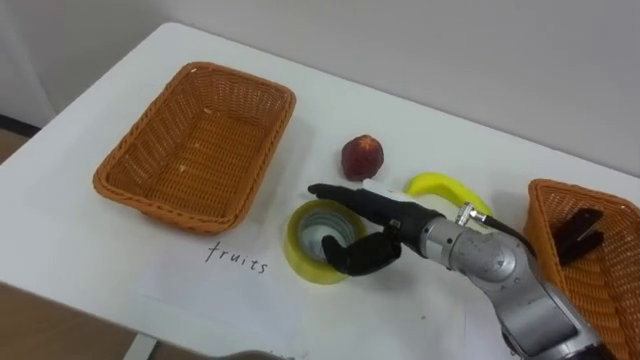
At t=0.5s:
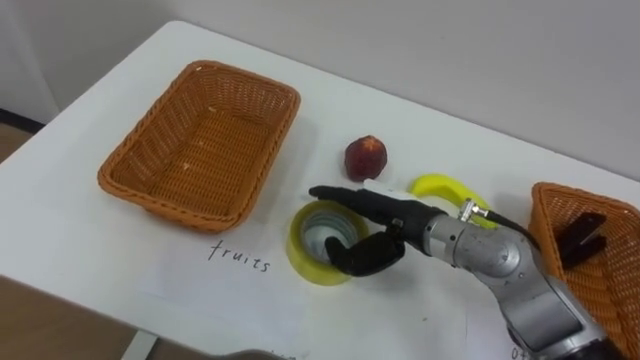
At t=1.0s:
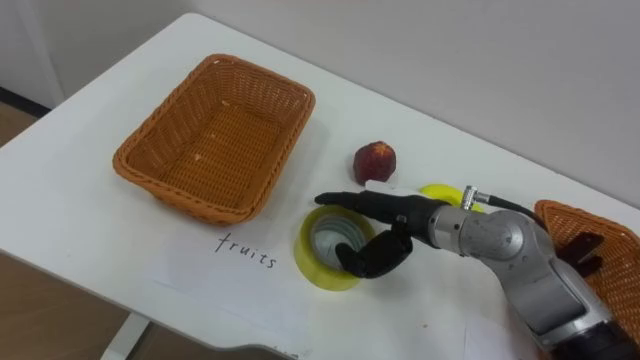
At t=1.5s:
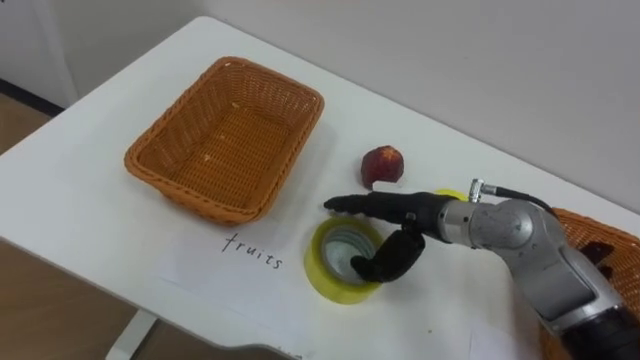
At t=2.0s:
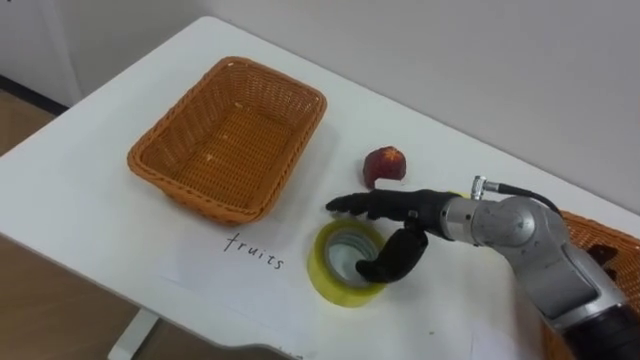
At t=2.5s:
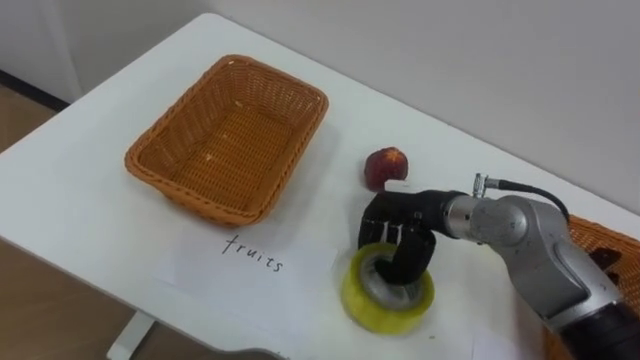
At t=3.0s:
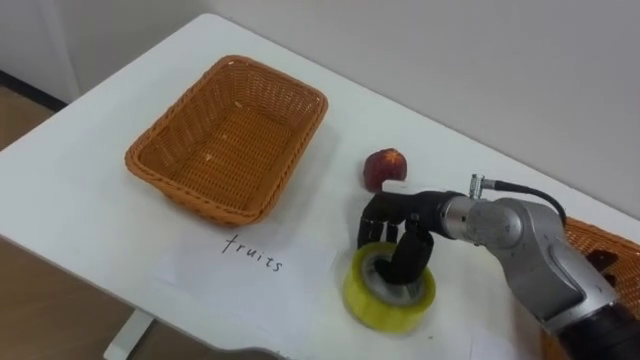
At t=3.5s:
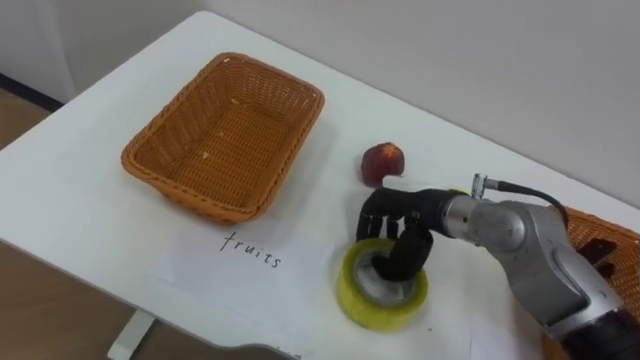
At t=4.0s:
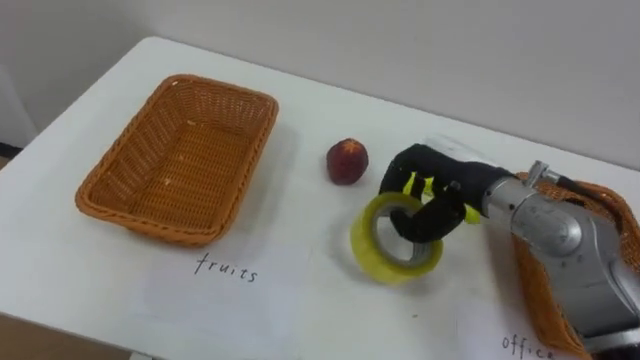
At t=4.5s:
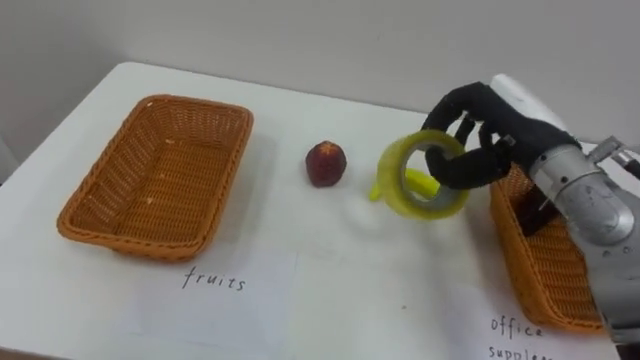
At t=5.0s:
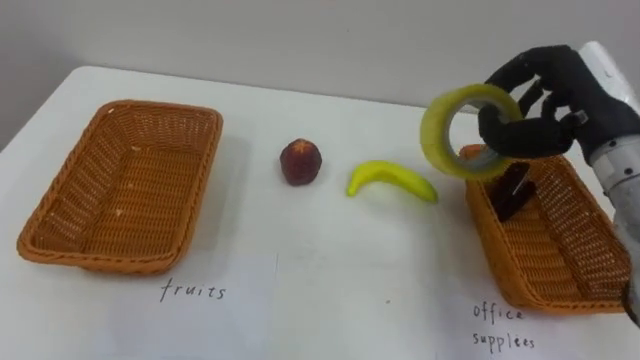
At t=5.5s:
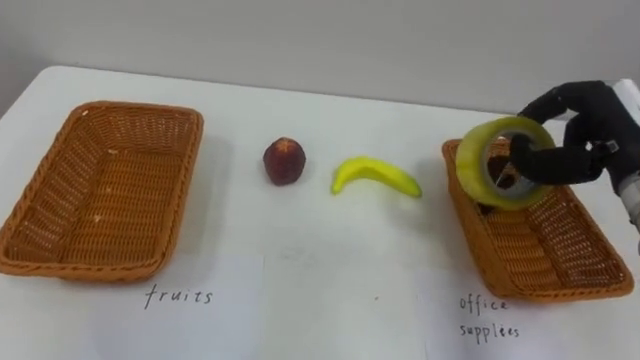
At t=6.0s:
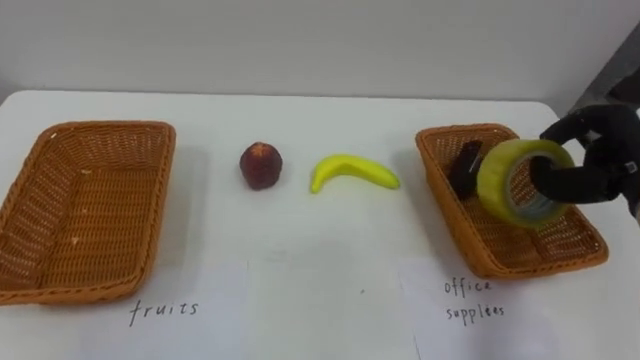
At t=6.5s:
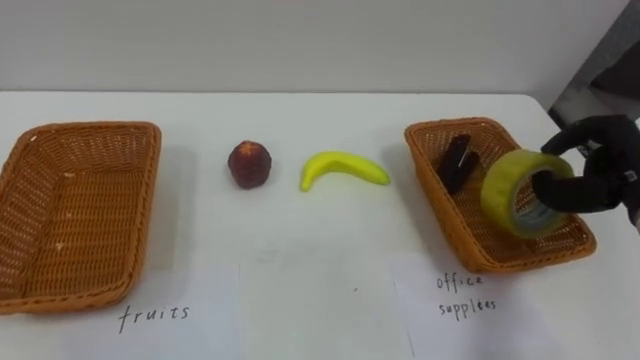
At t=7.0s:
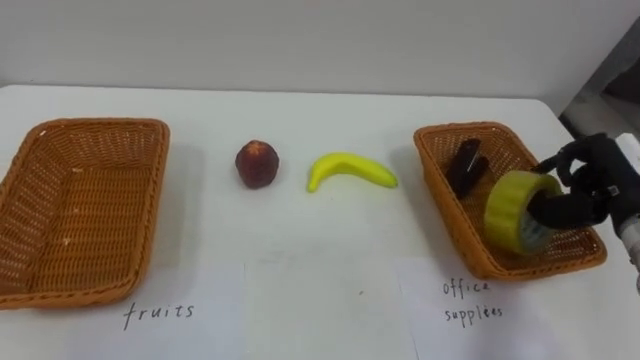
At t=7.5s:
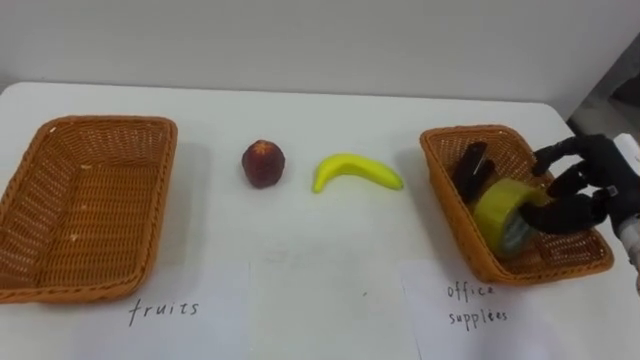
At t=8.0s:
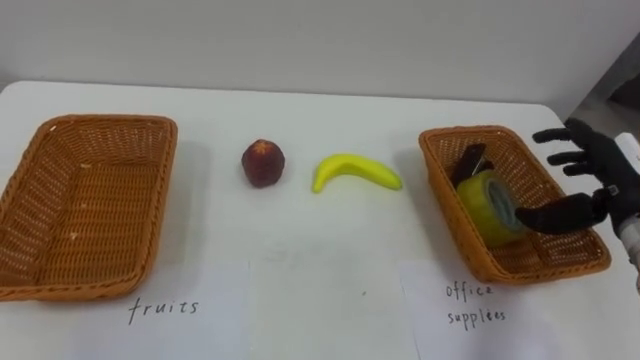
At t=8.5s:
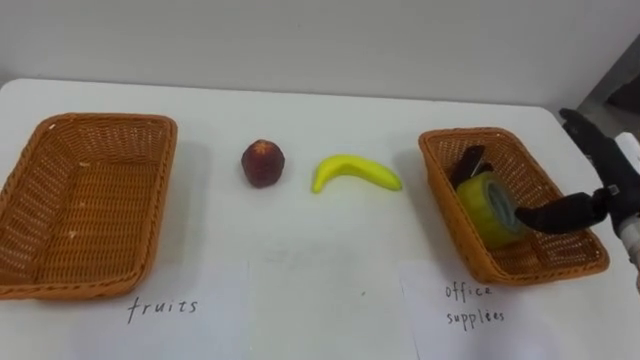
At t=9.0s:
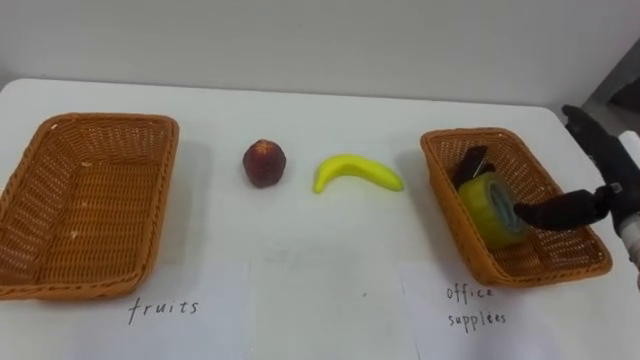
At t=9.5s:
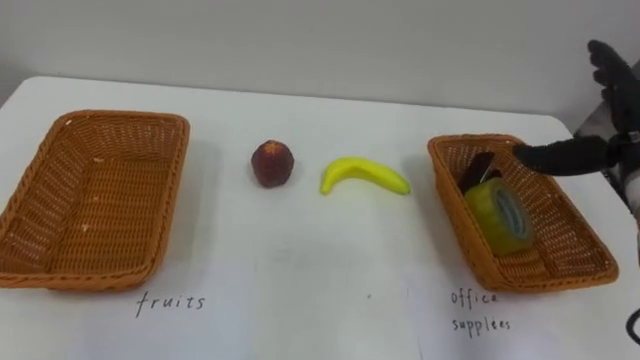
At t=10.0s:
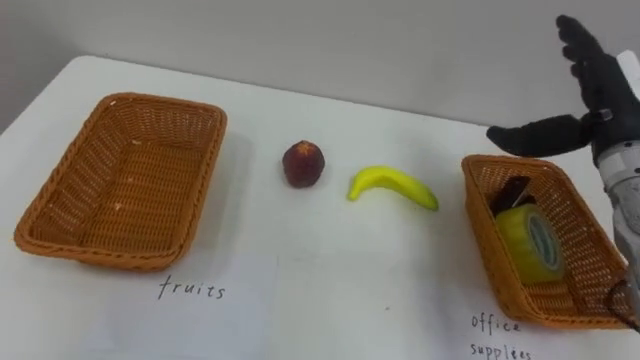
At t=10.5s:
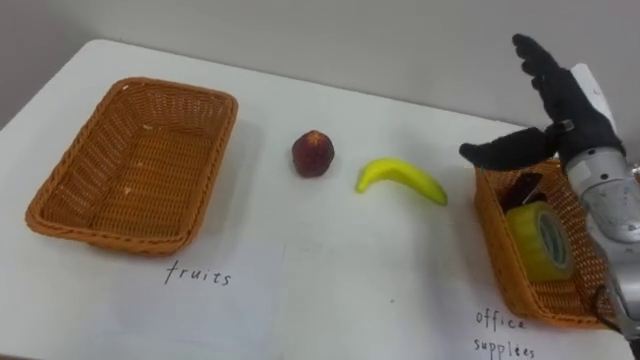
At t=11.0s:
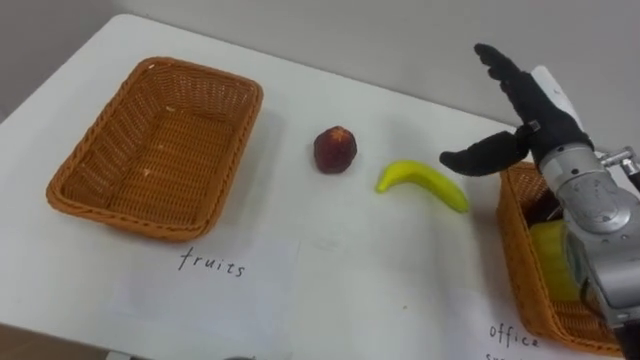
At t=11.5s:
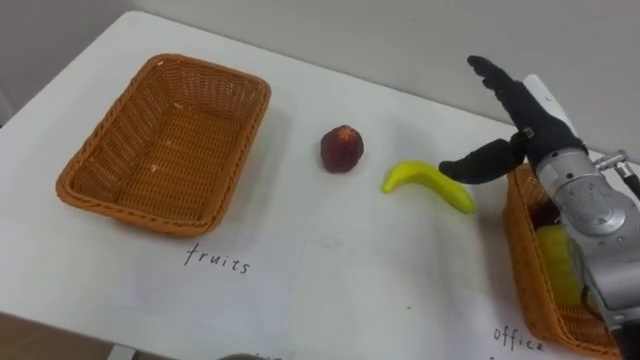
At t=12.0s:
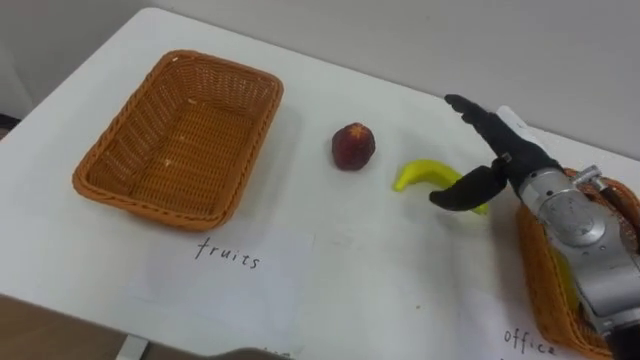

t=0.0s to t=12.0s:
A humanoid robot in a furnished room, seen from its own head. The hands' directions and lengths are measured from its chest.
Task of the whole recording: Separate the items on the table and place them into the two baskets.
t=2.0s to t=4.0s: The right hand shifts about 5 cm to the right, and closes.
t=4.0s to t=6.0s: The right hand is displaced to the right by about 20 cm.
t=6.0s to t=8.0s: The right hand opens.
t=8.0s to t=10.0s: The right hand heads upward, covering roughly 5 cm.
t=10.0s to t=12.0s: The right hand goes some 10 cm downward and to the left.

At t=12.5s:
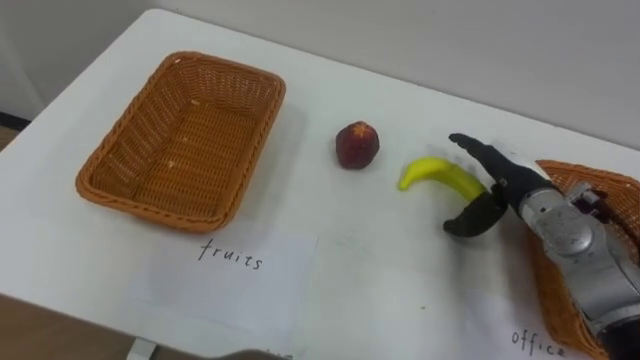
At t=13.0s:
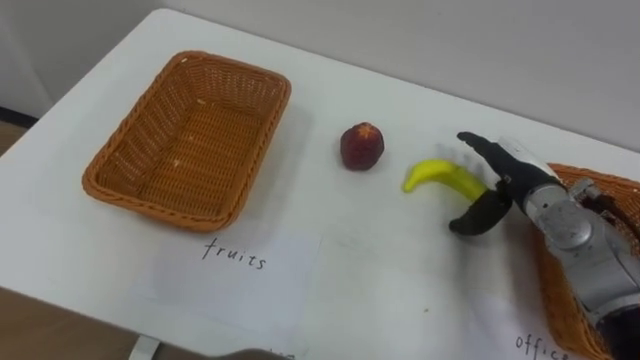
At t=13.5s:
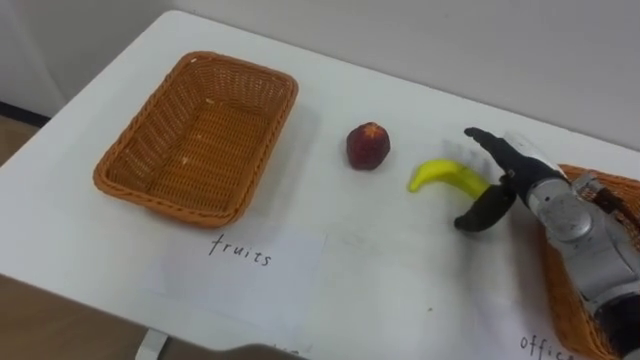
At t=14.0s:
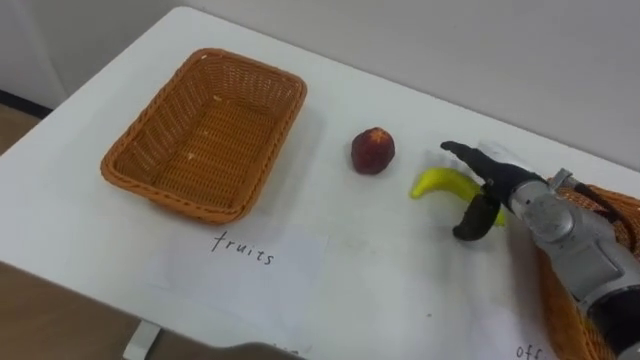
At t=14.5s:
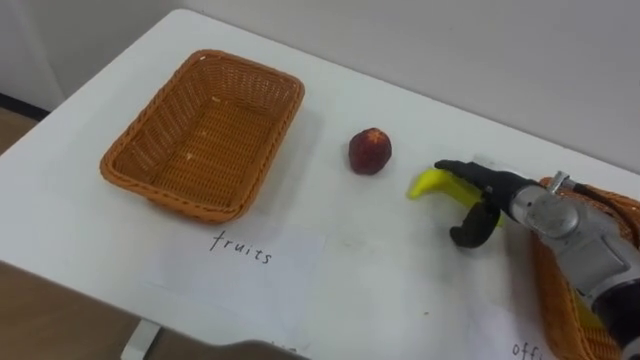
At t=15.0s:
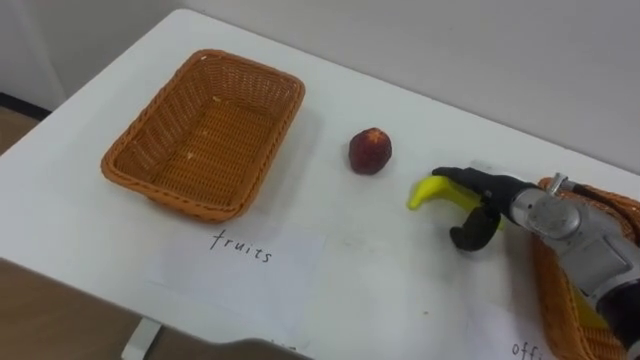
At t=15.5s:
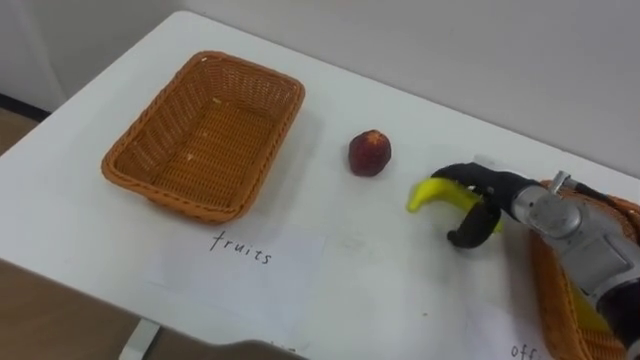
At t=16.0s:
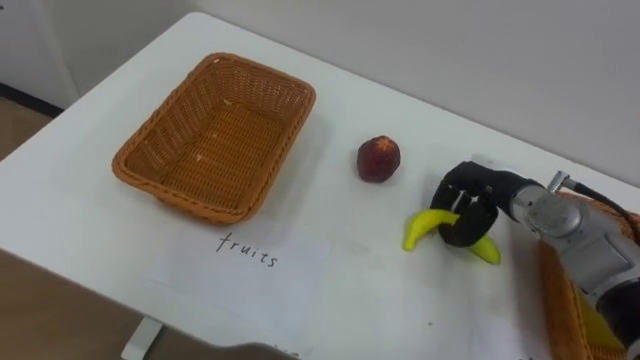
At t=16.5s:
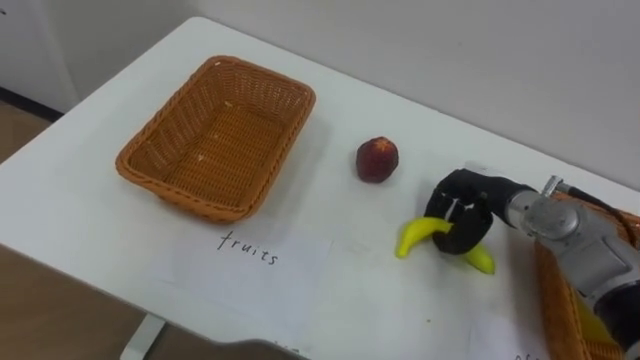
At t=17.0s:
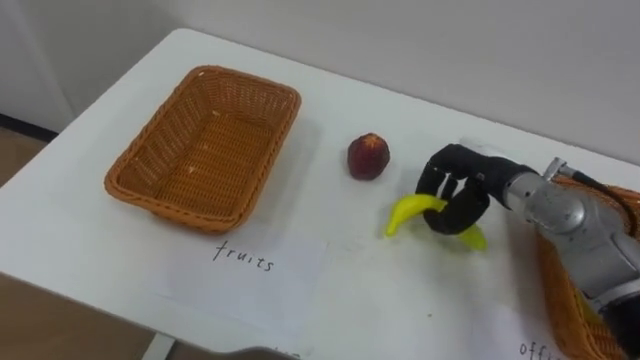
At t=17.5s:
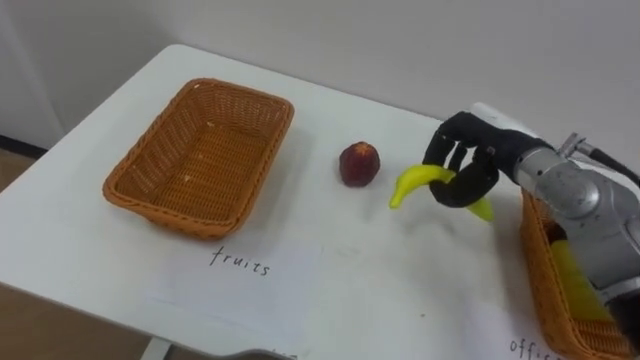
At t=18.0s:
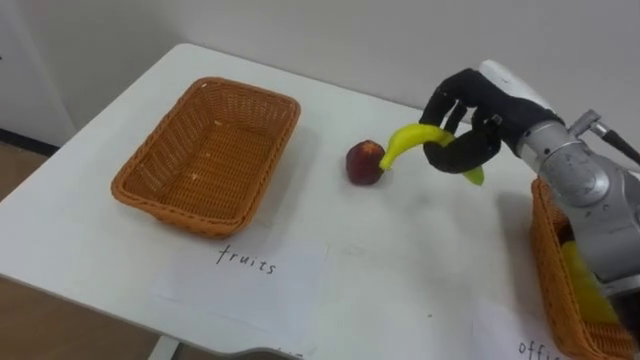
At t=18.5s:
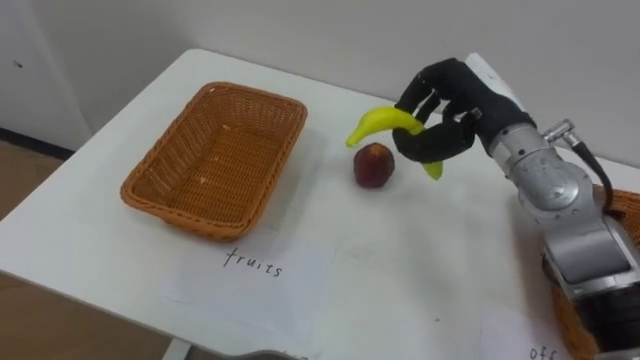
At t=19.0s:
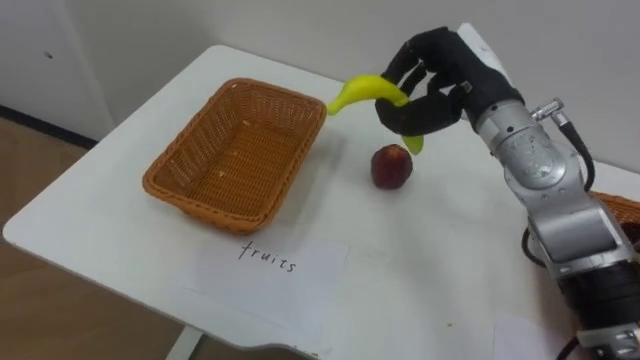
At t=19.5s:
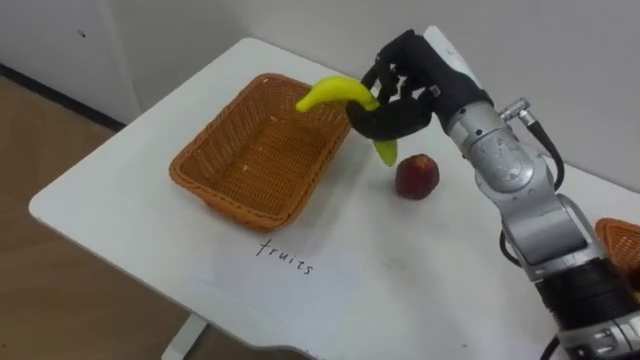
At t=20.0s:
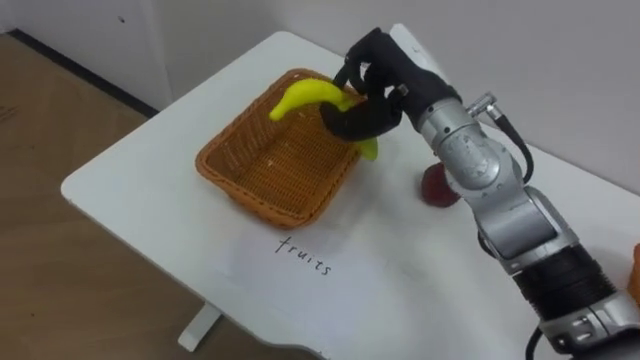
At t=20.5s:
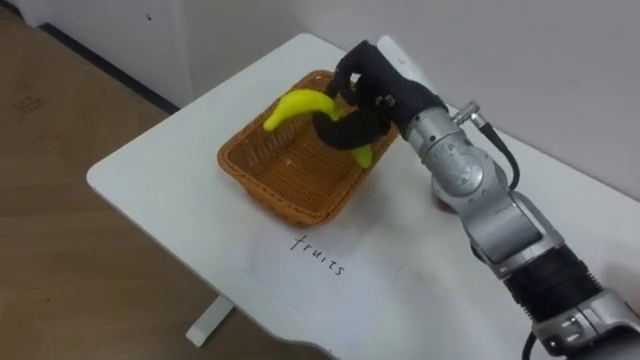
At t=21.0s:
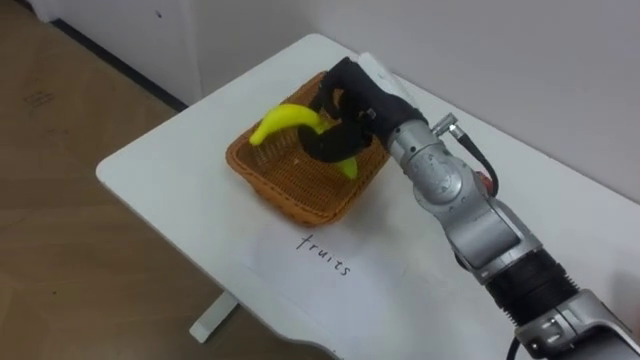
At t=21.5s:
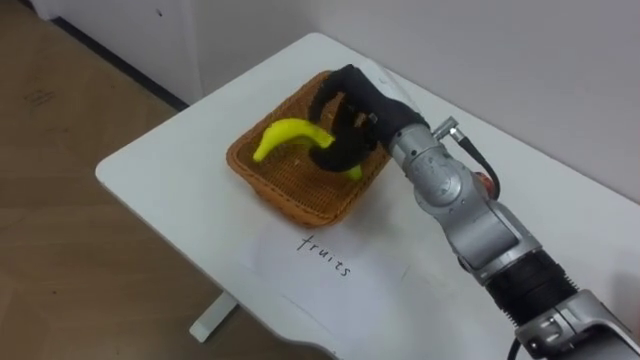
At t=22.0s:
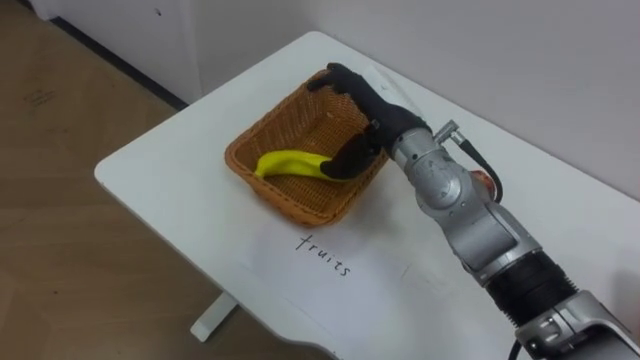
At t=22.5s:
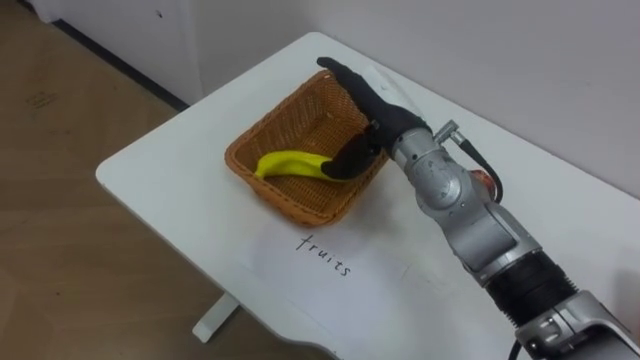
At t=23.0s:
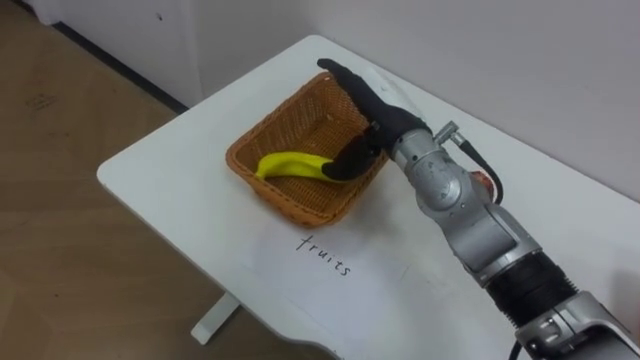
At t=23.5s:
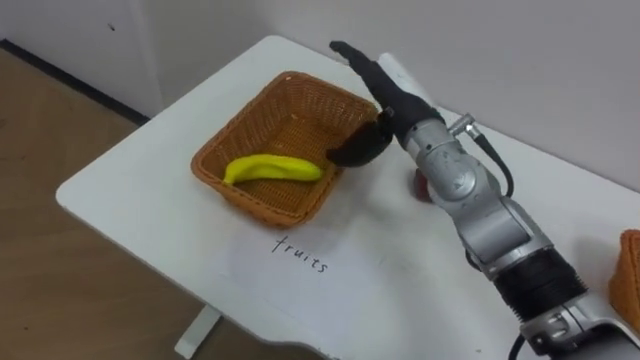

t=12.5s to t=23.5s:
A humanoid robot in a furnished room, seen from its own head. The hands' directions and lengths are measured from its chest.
Task of the whole recording: Separate the items on the table and place them into the two baskets.
t=14.5s to t=16.0s: The right hand closes its fingers.
t=16.0s to t=18.0s: The right hand shifts some 15 cm upward.
t=18.0s to t=20.0s: The right hand travels to the left by about 10 cm.
t=21.5s to t=23.5s: The right hand opens.
